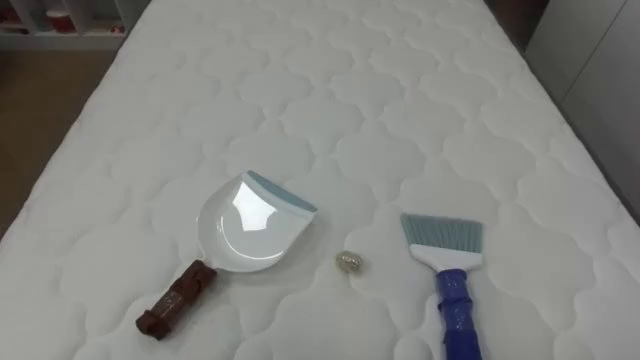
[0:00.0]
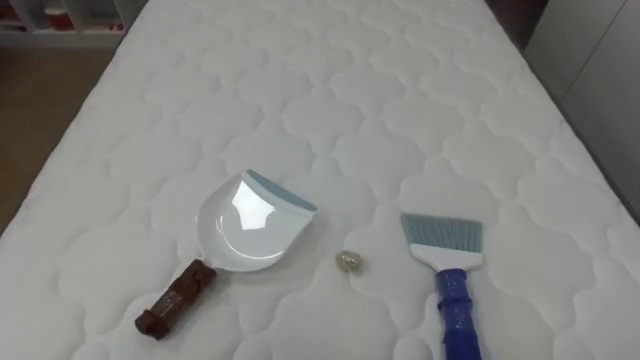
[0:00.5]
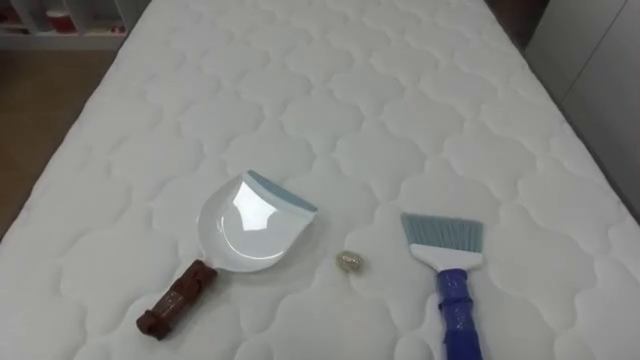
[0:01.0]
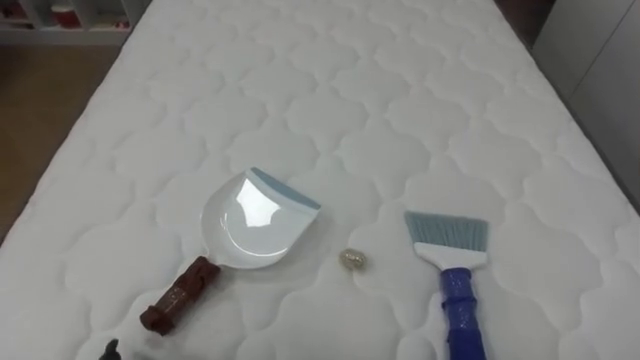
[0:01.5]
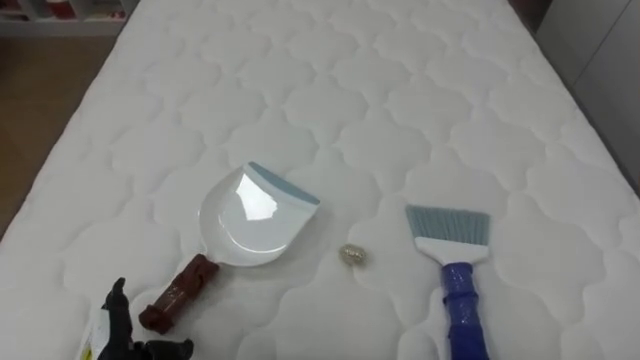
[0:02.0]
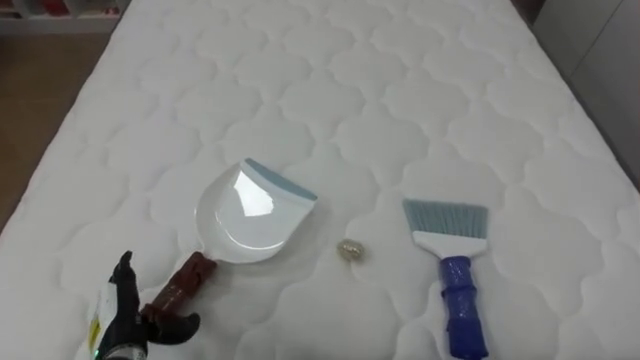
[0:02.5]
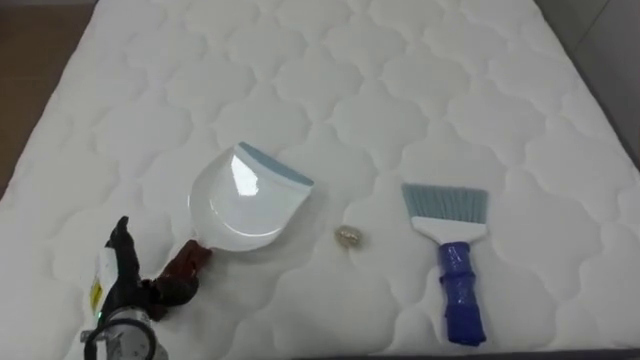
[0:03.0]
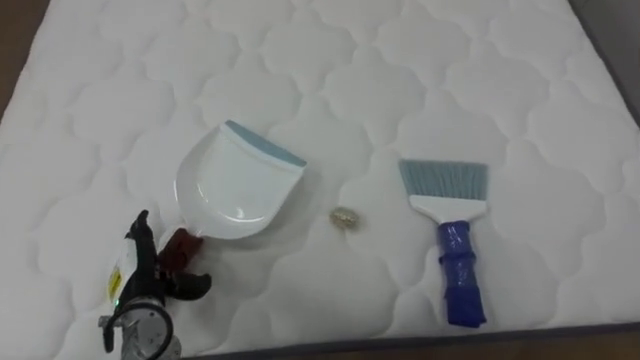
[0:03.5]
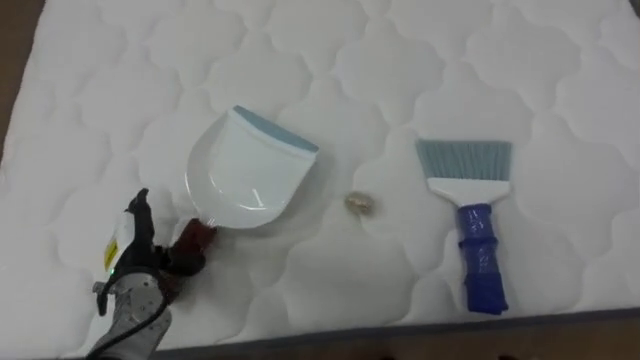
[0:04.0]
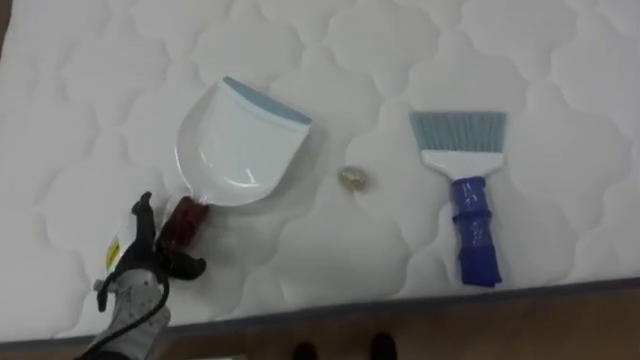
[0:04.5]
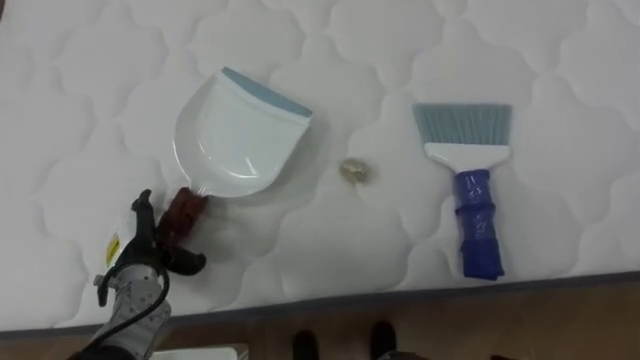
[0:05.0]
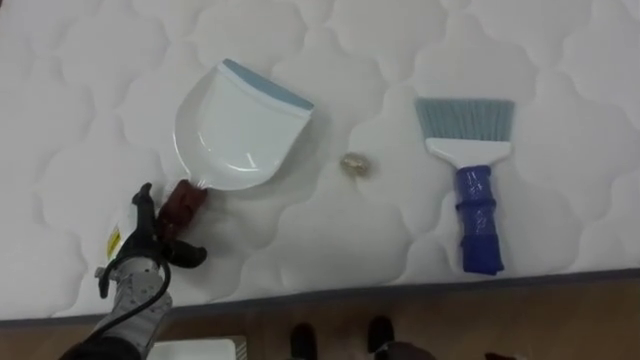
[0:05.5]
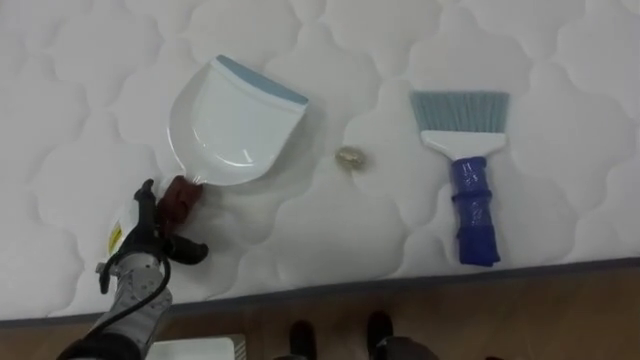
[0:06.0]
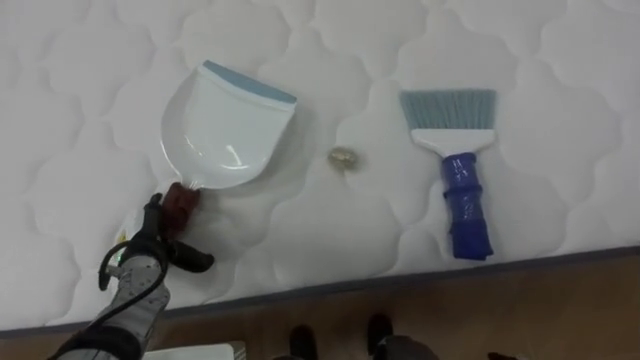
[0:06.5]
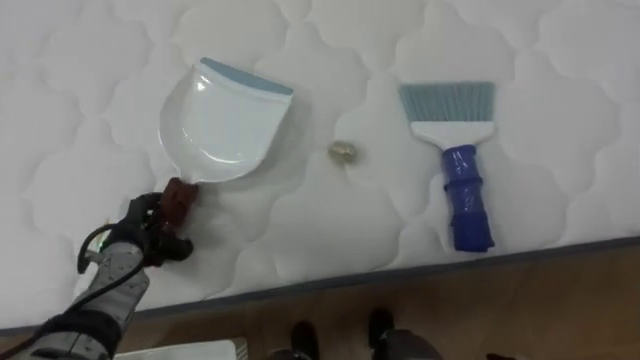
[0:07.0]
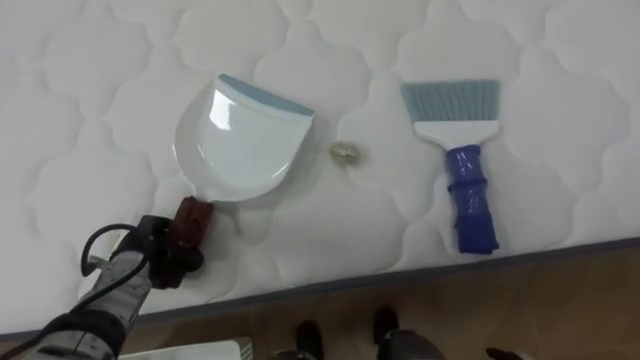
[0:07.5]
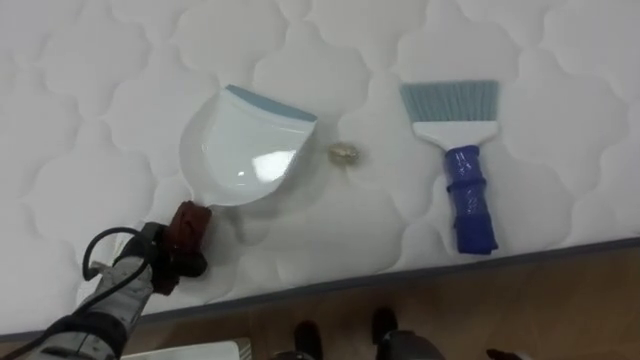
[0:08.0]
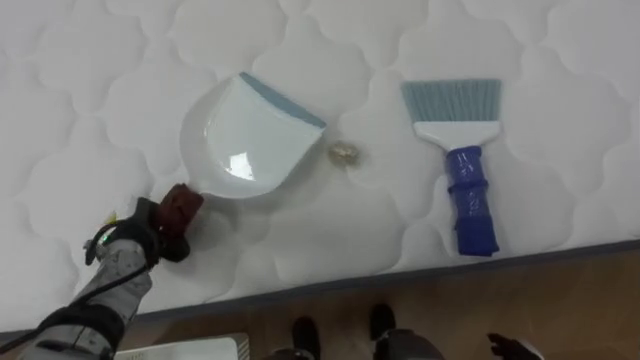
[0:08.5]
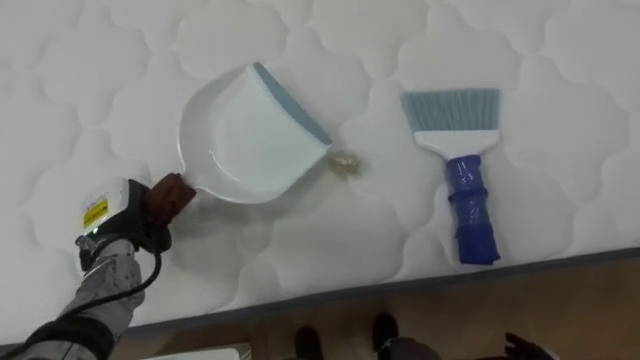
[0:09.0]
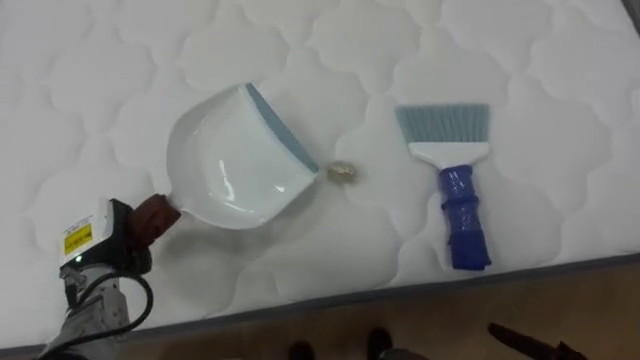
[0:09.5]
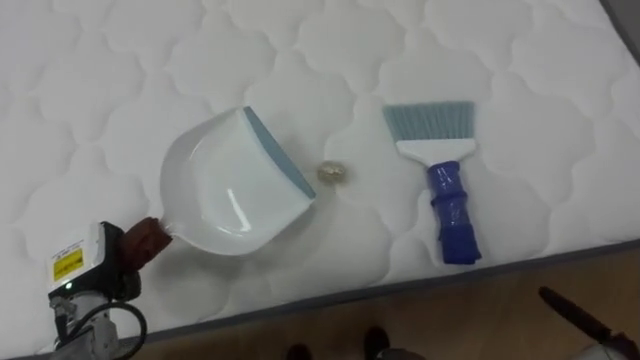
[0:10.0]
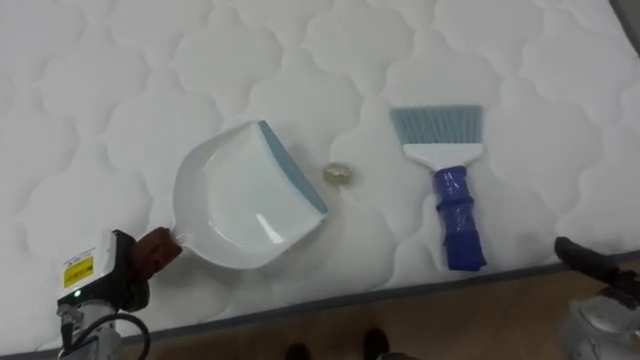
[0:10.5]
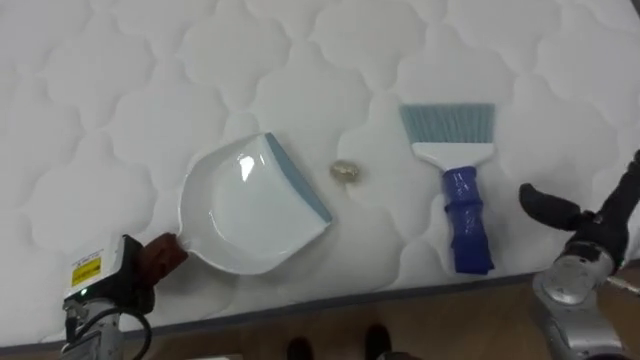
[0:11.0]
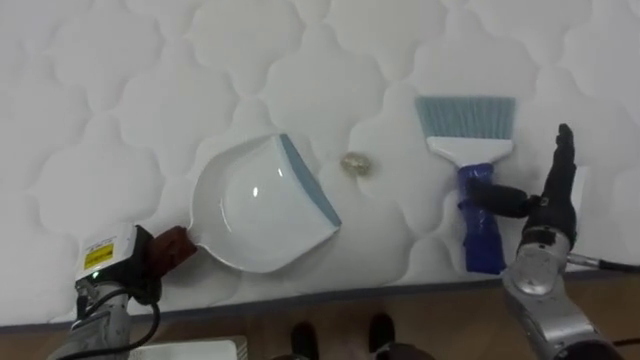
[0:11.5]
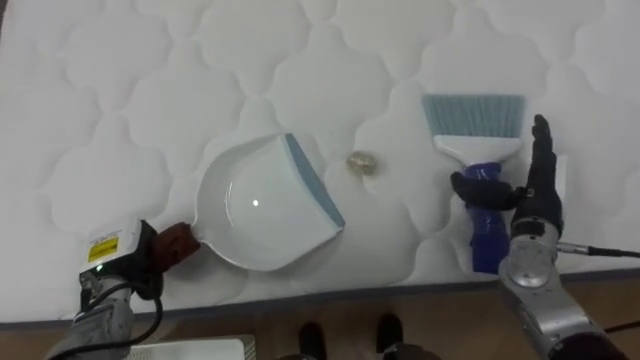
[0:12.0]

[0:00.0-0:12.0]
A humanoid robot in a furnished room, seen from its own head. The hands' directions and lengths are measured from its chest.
Task of the whole recording: Pick up the brush on your right and the dustpan on your left. Use the brush to sweep the crumpled paper on the bed into the dustpan, then turn left and empty it into the basket.
0:02.0 to 0:04.0: The left hand goes some 10 cm forward.
0:06.0 to 0:08.0: The left hand closes its fingers.
0:08.0 to 0:10.0: The left hand shifts about 5 cm to the left.

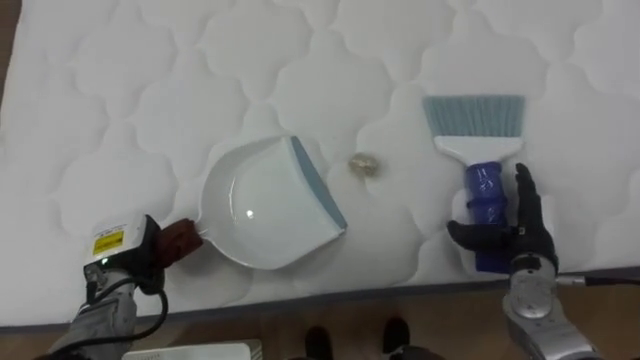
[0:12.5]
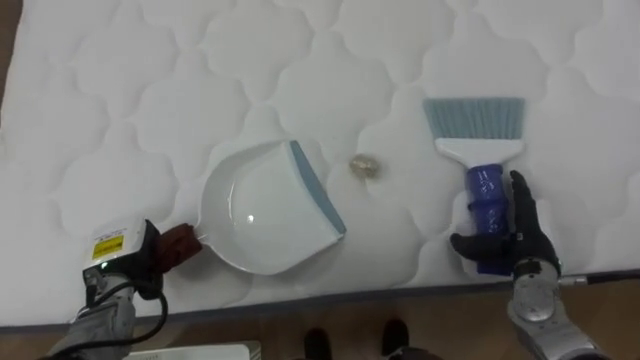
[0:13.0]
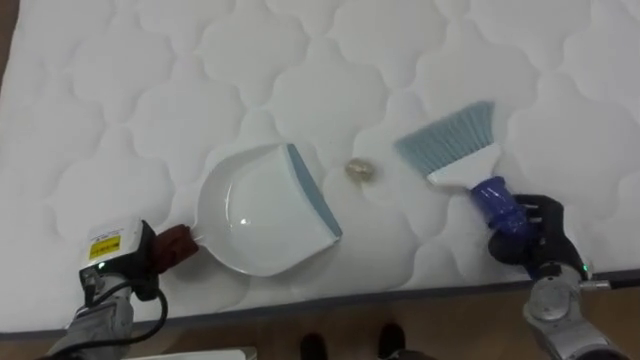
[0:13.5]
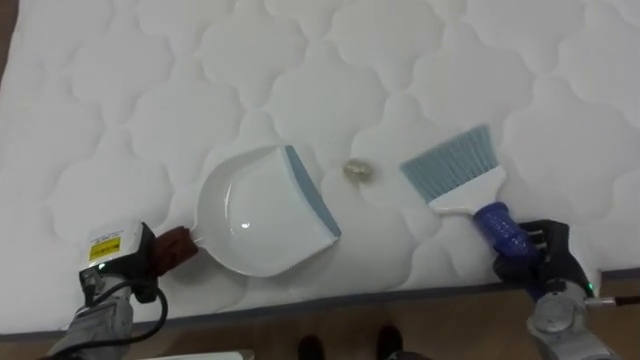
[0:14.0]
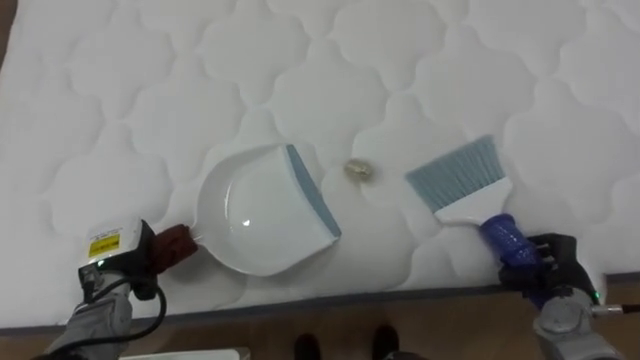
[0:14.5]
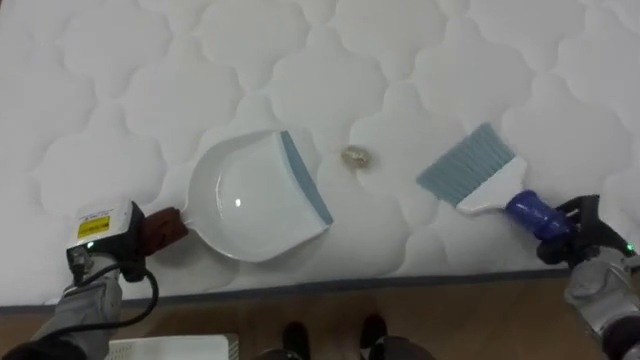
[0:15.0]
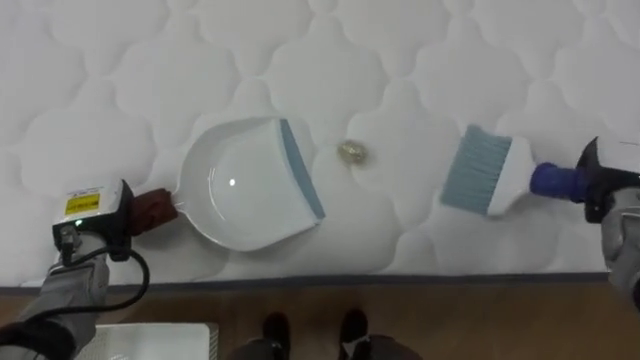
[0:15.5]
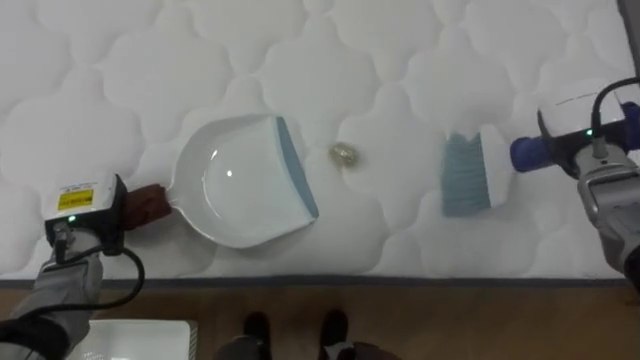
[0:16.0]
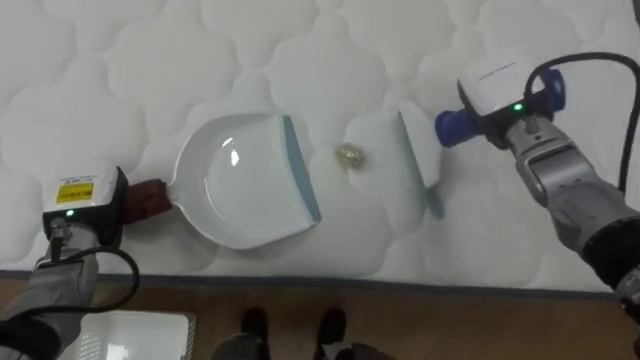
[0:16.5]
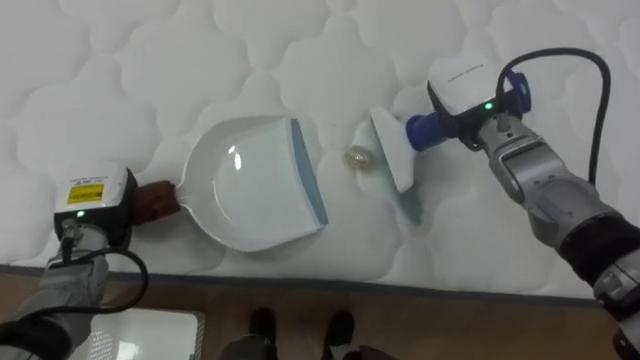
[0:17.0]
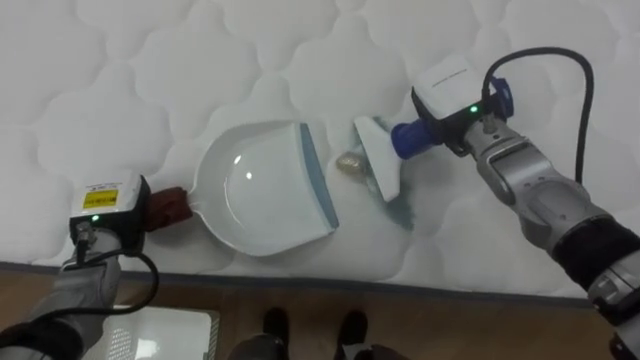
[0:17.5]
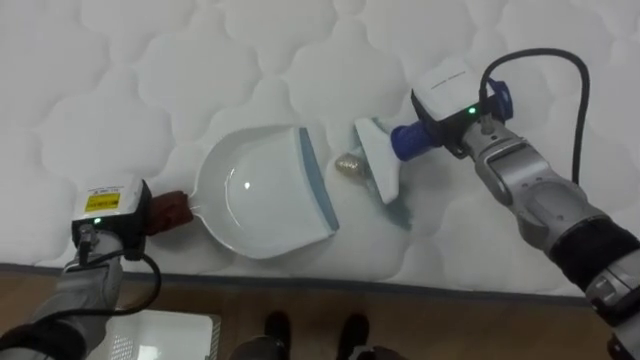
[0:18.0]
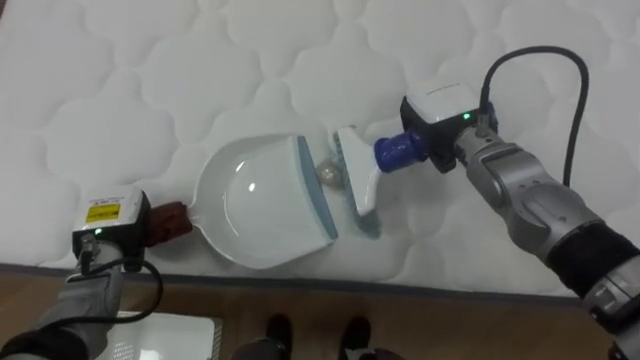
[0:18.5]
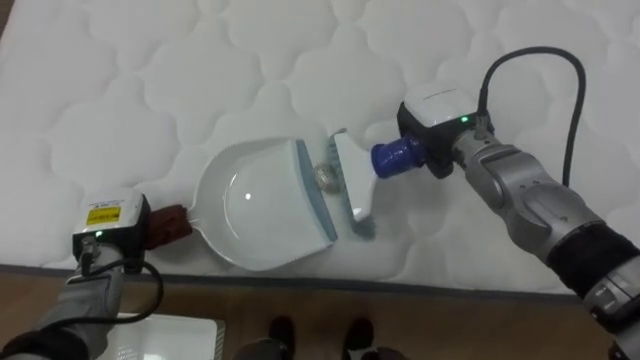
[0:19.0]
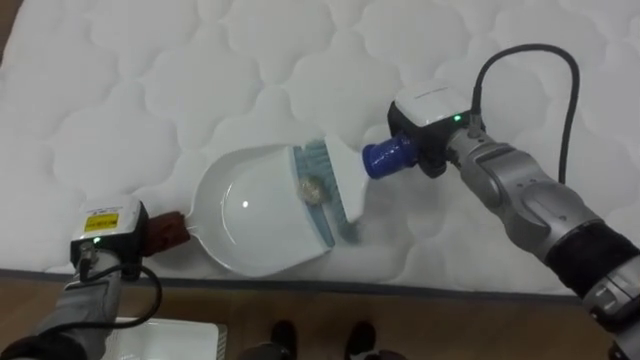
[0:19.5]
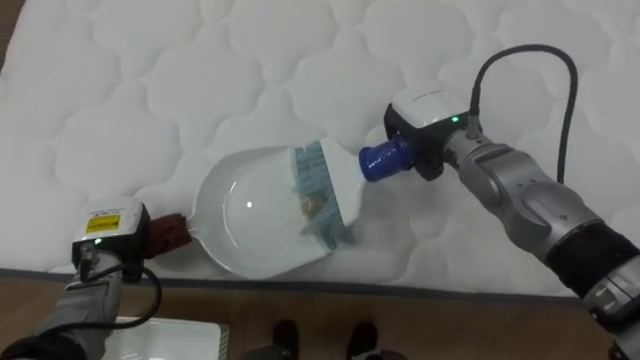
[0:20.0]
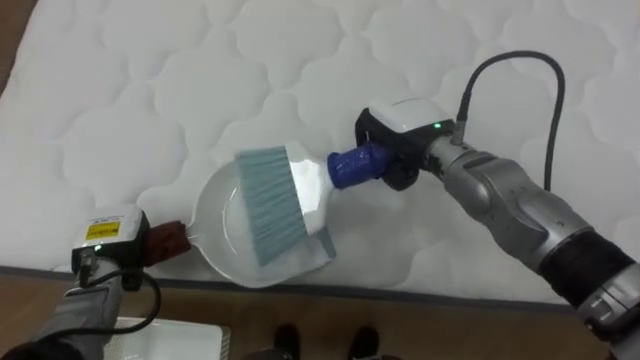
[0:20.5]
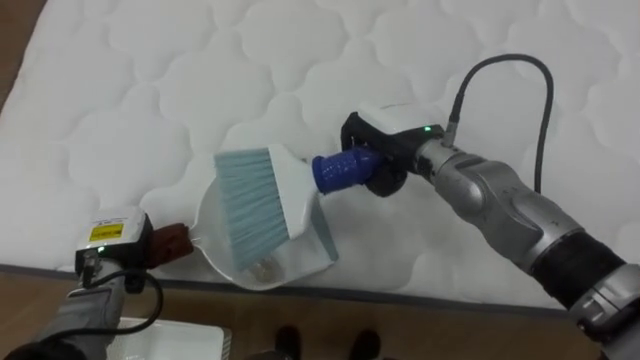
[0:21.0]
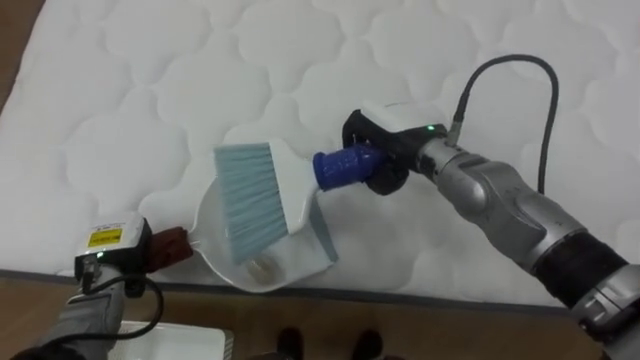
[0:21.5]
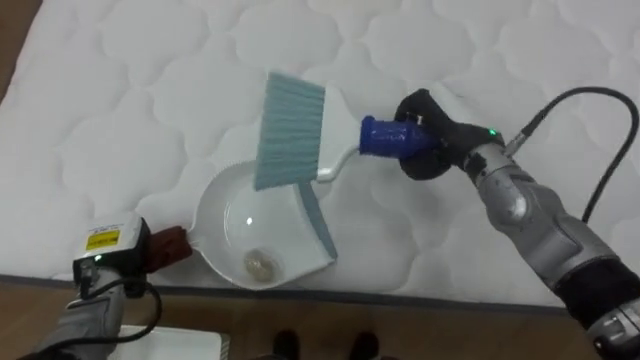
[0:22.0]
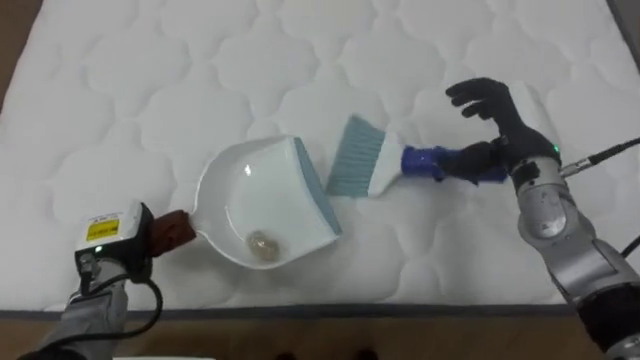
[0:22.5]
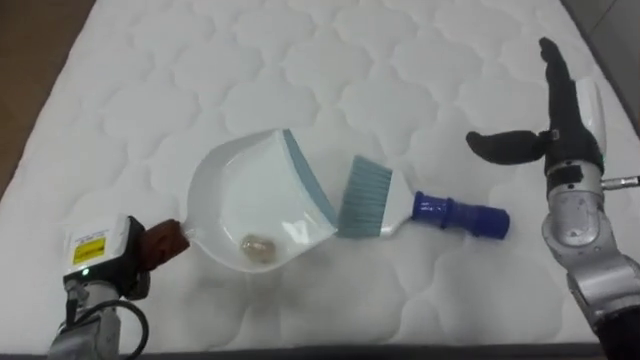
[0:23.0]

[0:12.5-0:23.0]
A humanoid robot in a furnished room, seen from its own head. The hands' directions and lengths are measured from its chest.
Task of the whole recording: Pick up the brush on your right and the dustpan on your left. Use the brush to sweep the crumpled paper on the bed into the dustpan, then turn left and empty it into the basket.
0:12.5 to 0:14.5: The right hand heads to the right and downward, covering some 10 cm, and closes up.
0:14.5 to 0:16.5: The right hand heads upward, forward and to the left, covering roughly 30 cm, while the left hand is displaced upward by approximately 5 cm.
0:16.5 to 0:19.0: The right hand is displaced to the left by roughly 10 cm.
0:19.0 to 0:21.0: The right hand travels to the left by some 5 cm.
0:21.0 to 0:23.0: The right hand shifts approximately 20 cm to the right, and opens up.
